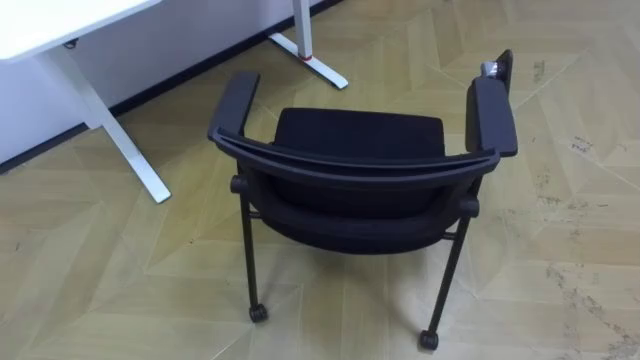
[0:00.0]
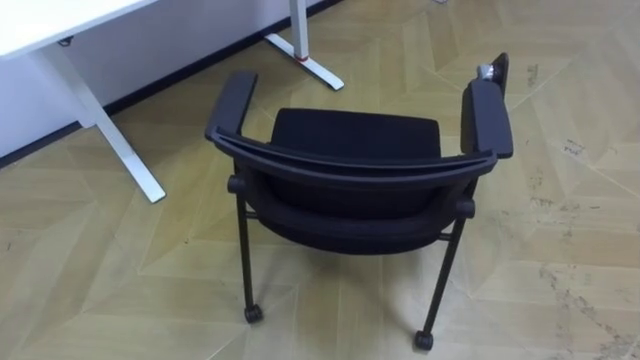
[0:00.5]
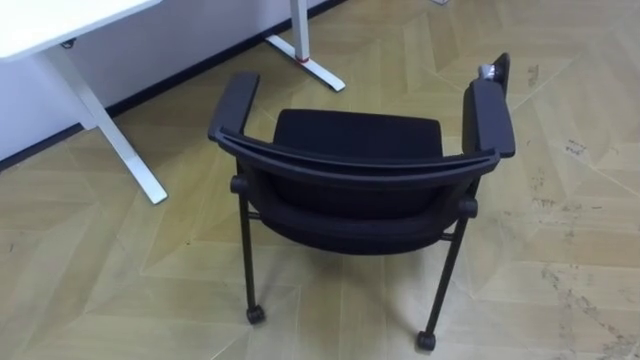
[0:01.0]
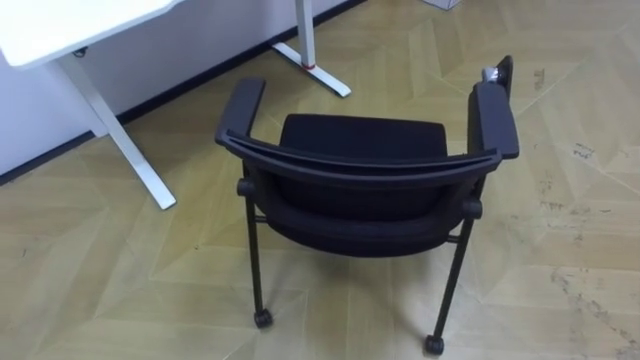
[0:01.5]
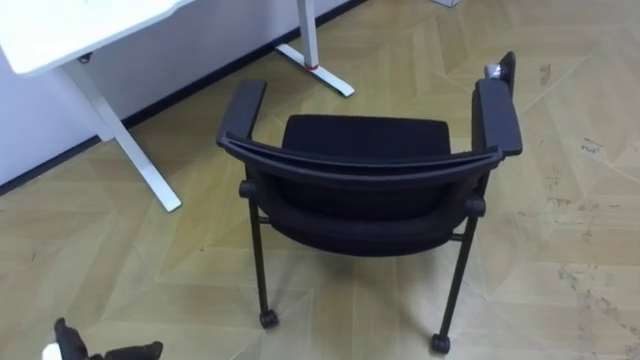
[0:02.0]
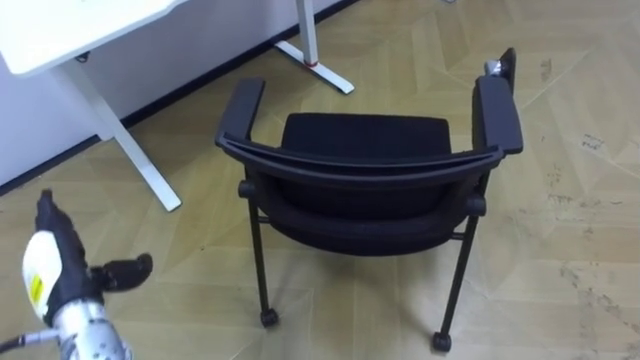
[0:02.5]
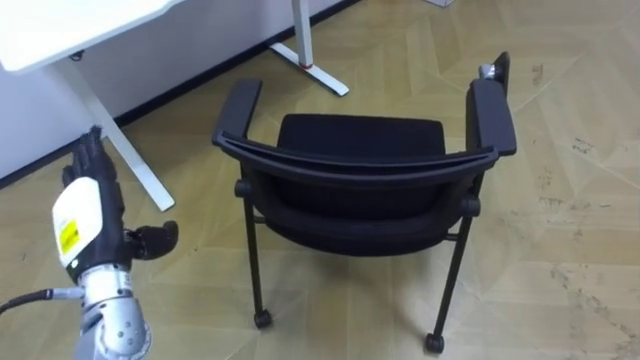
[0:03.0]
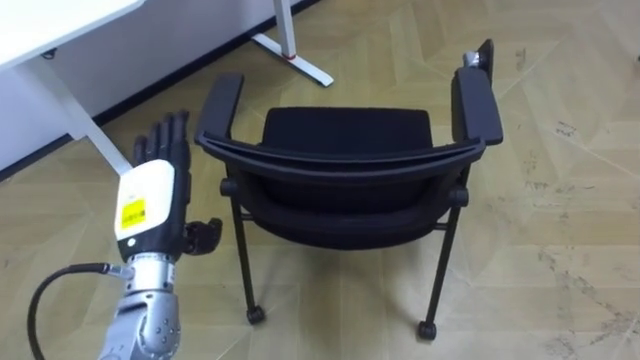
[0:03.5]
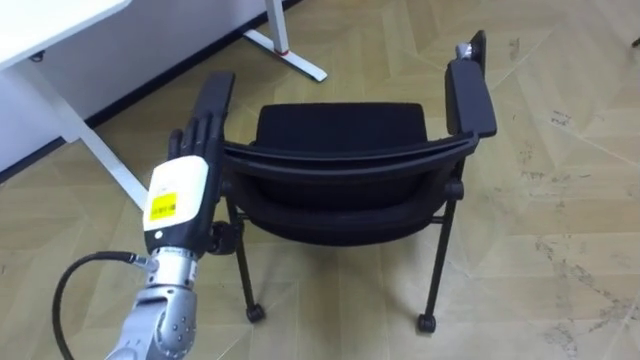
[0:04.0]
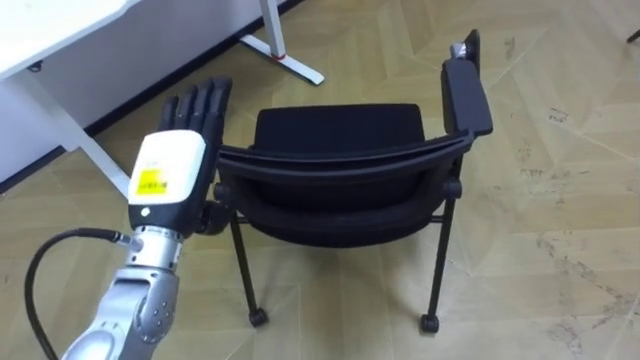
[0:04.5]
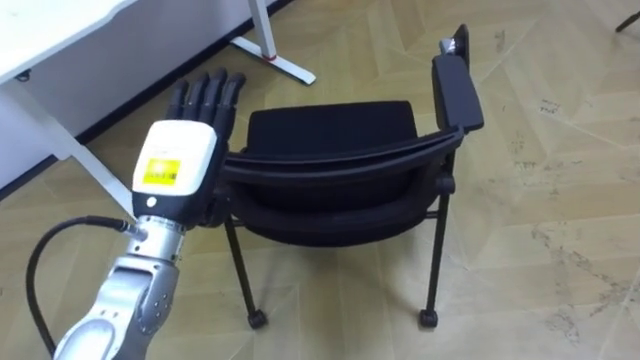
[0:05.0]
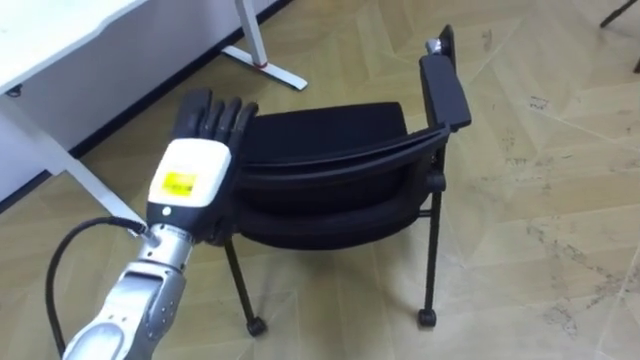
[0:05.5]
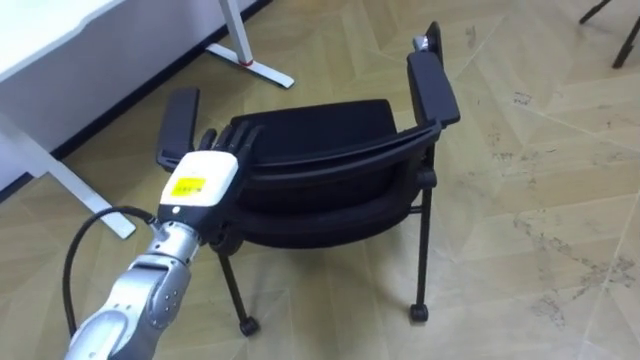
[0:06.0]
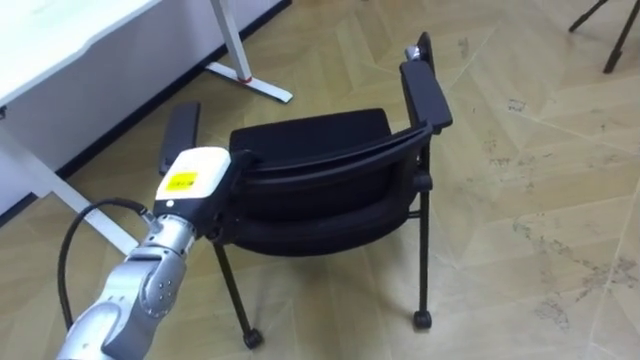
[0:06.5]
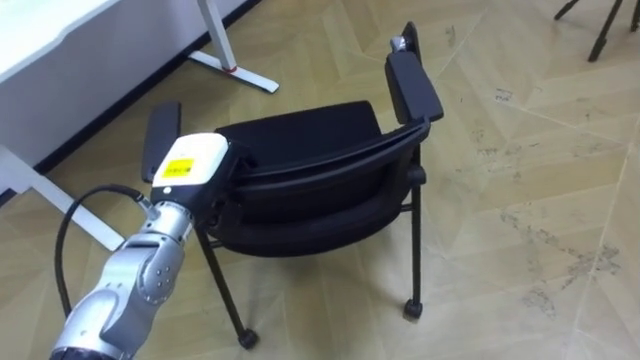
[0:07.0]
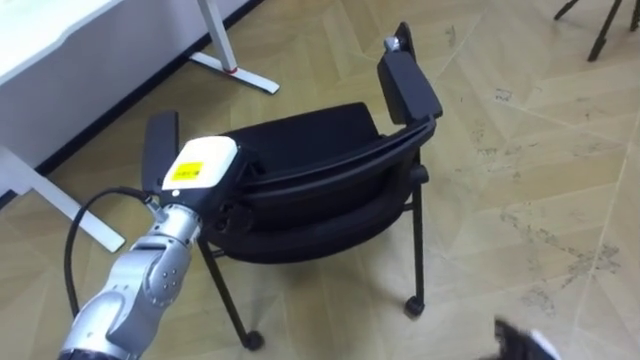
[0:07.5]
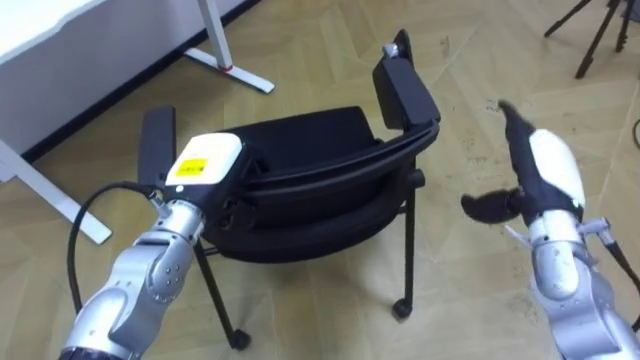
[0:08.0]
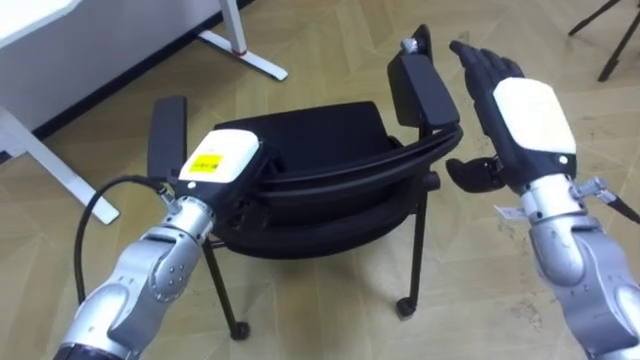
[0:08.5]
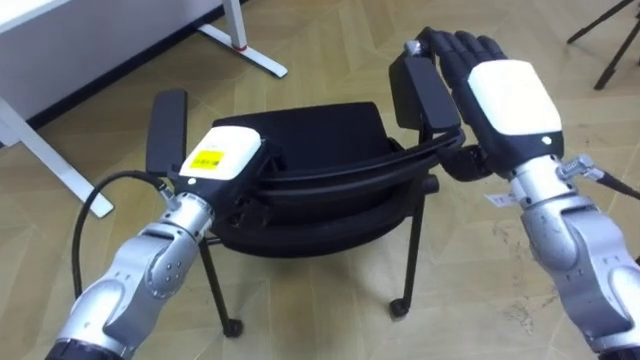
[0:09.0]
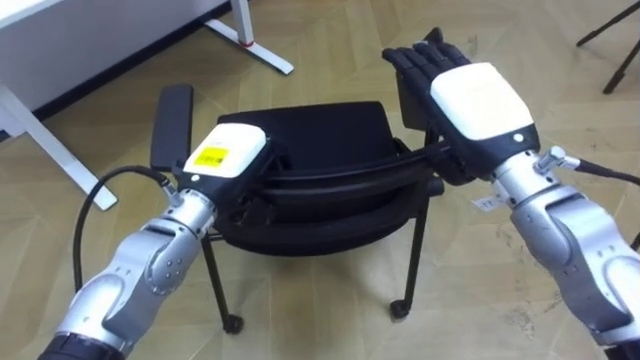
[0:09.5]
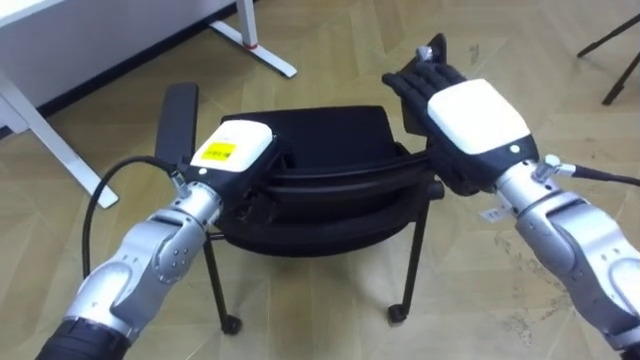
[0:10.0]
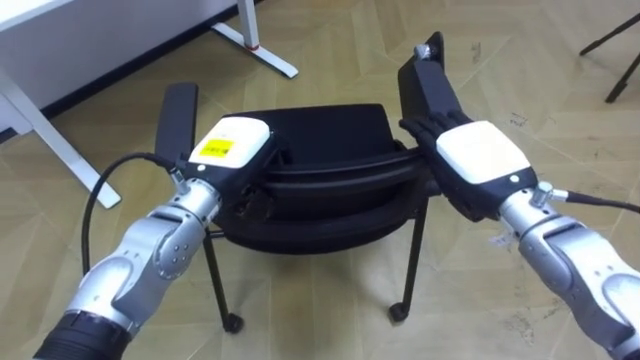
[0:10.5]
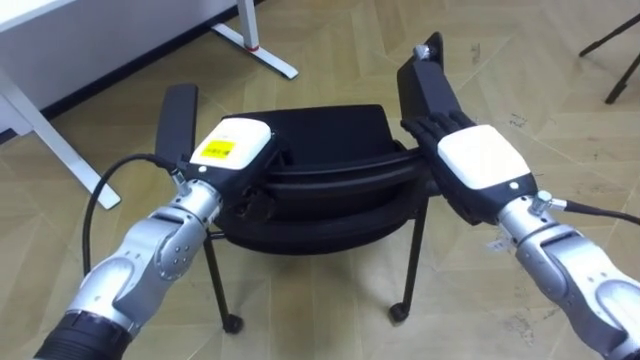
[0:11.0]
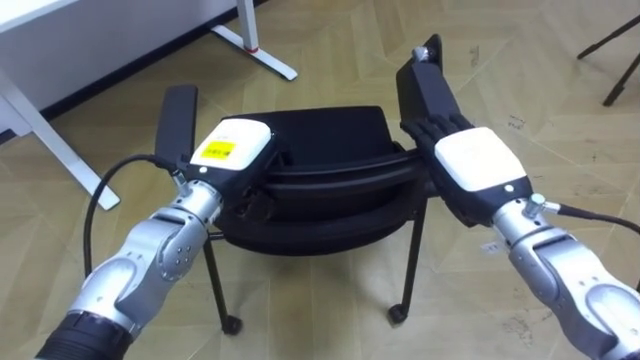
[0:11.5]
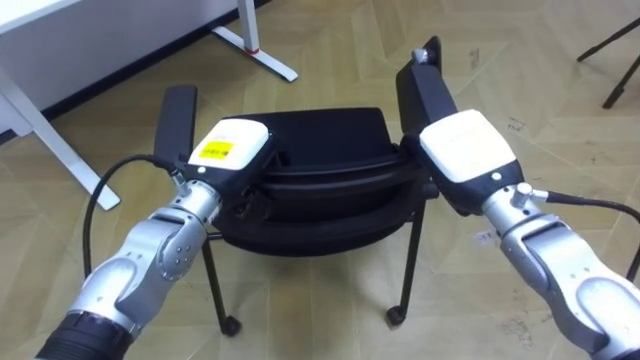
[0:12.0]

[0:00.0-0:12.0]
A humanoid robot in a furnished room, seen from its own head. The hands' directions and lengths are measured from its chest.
Task of the whole recording: Push the chair under the table.
0:06.0 to 0:08.0: The left hand closes up.
0:08.0 to 0:10.0: The right hand shifts about 15 cm to the left and upward.
0:10.0 to 0:12.0: The right hand closes up.

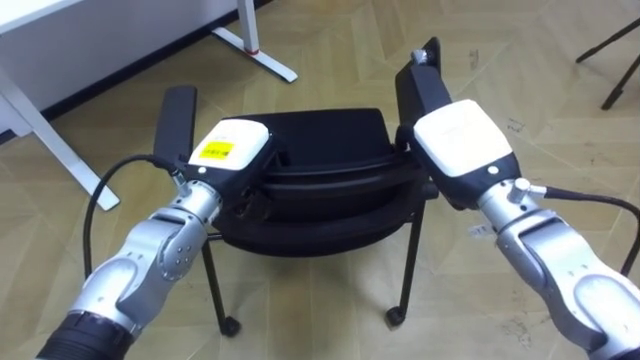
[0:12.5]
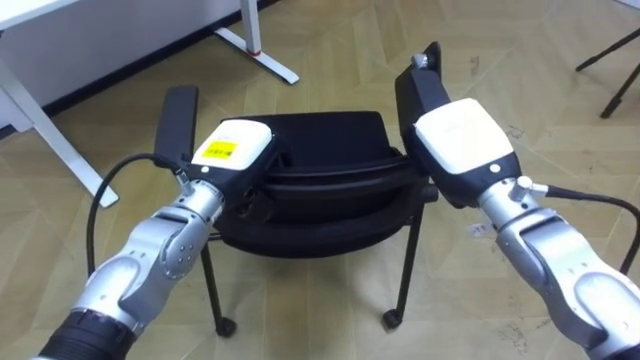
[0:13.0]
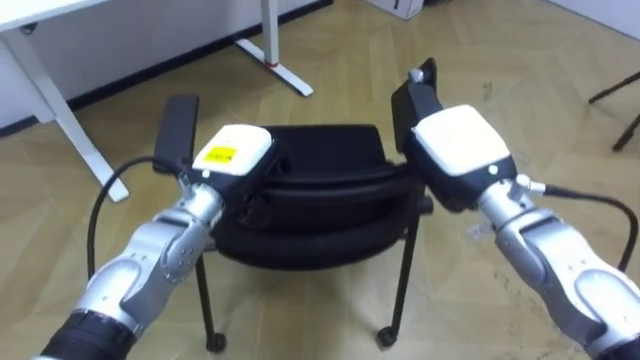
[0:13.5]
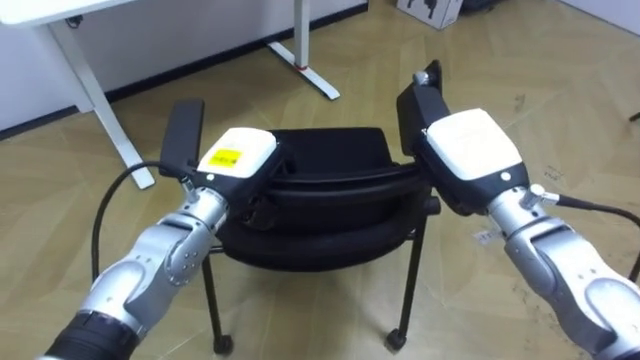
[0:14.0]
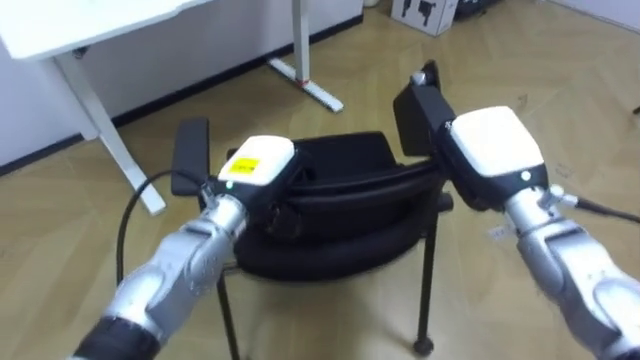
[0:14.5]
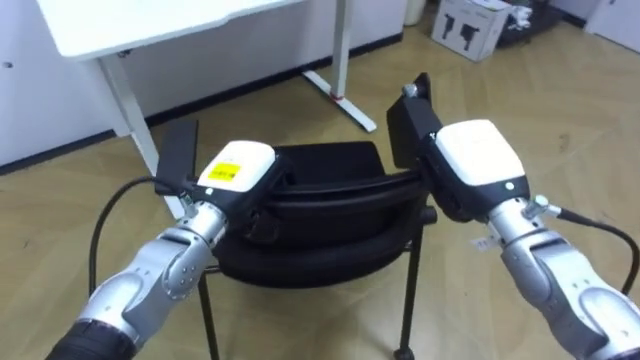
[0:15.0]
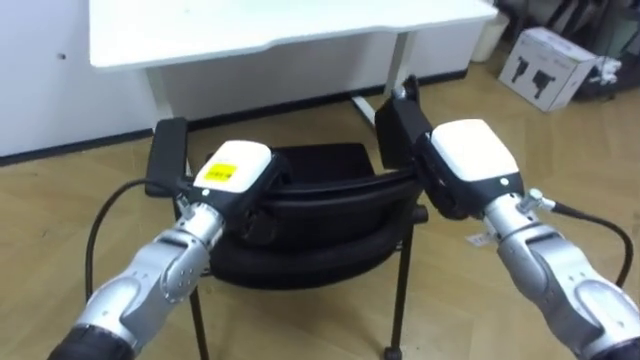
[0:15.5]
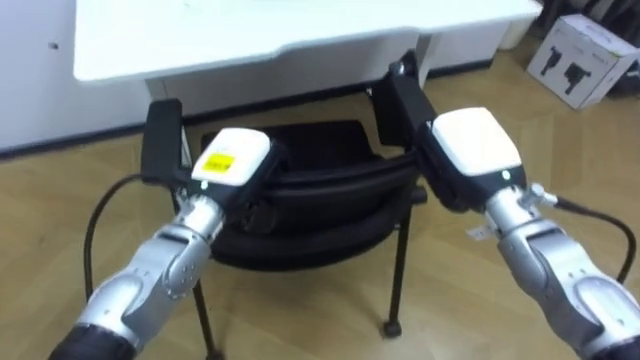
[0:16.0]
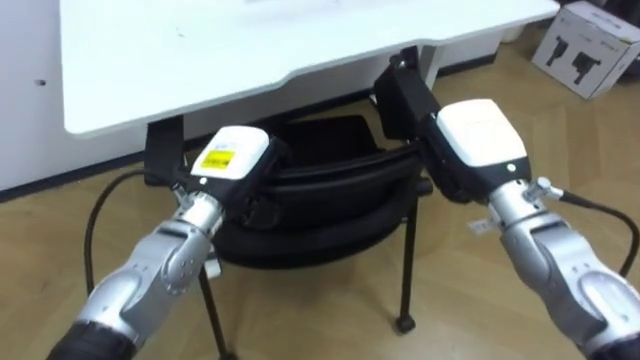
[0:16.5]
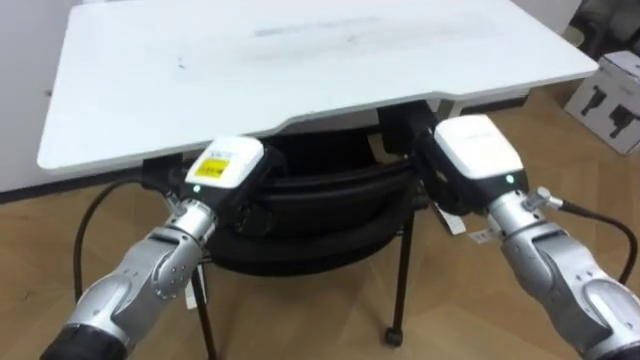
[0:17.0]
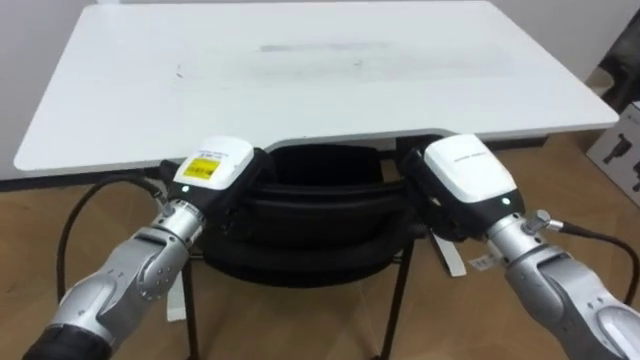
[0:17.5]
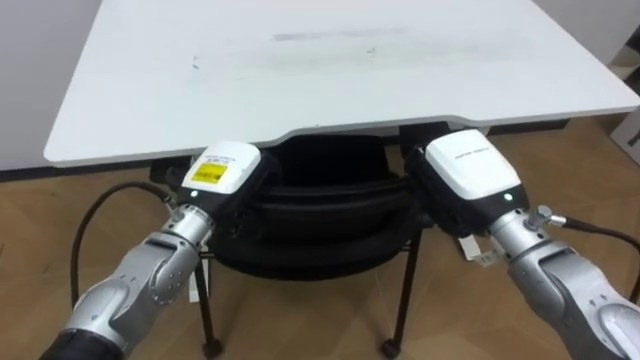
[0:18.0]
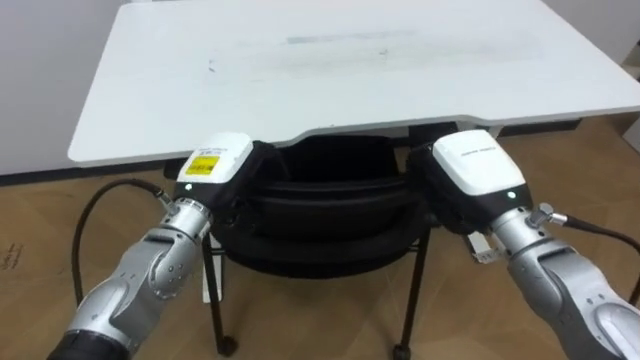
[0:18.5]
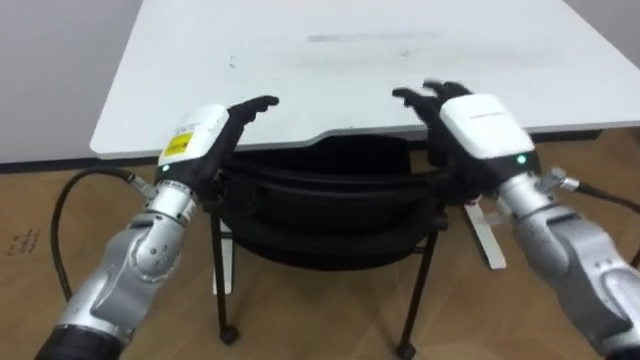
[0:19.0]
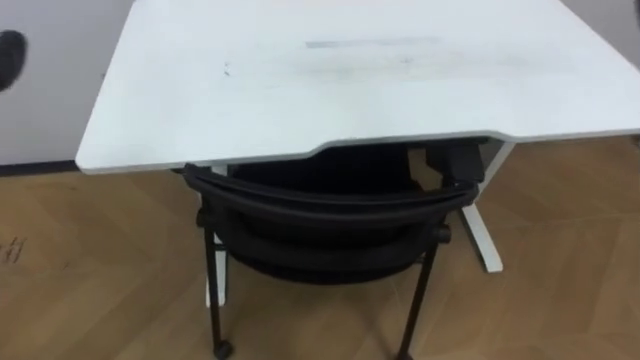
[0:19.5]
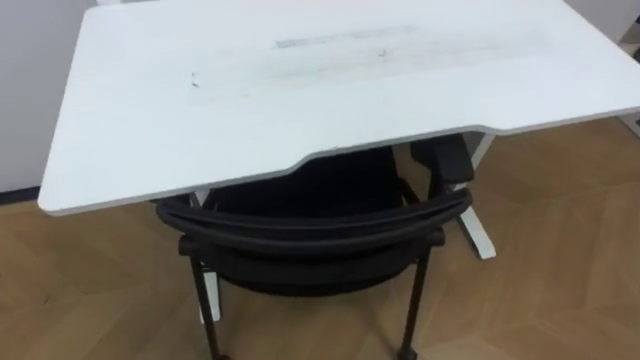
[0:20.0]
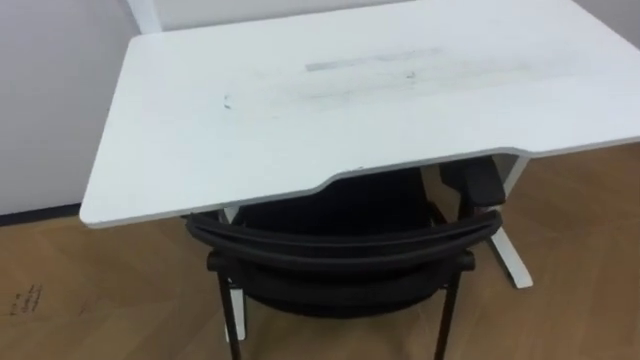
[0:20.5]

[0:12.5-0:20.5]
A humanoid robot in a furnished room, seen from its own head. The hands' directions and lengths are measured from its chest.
Task of the whole recording: Push the chair under the table.
0:12.5 to 0:14.5: The right hand closes up.
0:16.5 to 0:18.5: The right hand opens its fingers.
